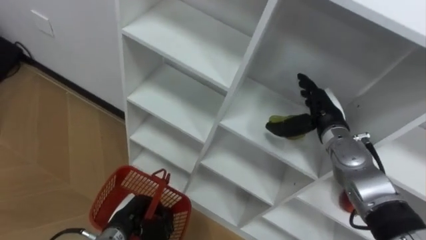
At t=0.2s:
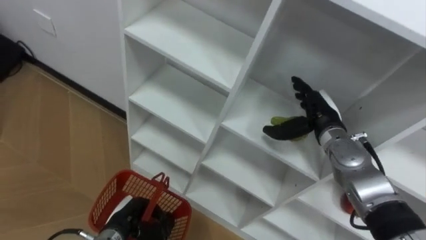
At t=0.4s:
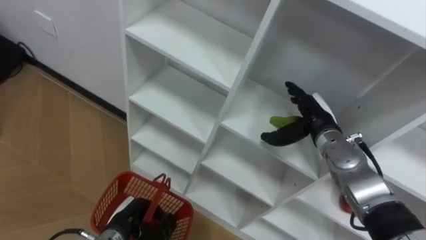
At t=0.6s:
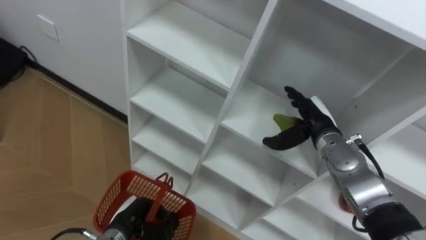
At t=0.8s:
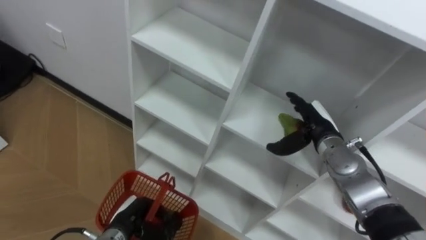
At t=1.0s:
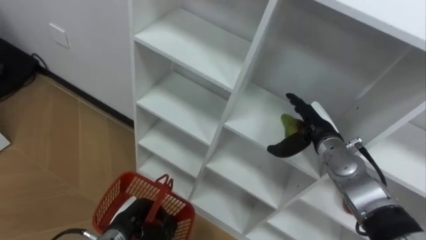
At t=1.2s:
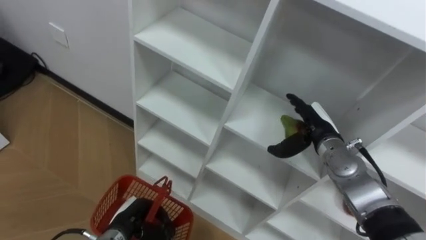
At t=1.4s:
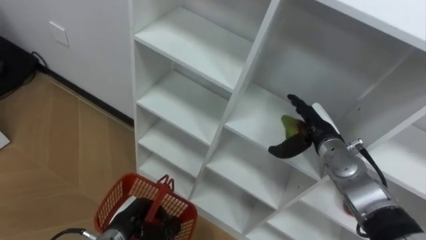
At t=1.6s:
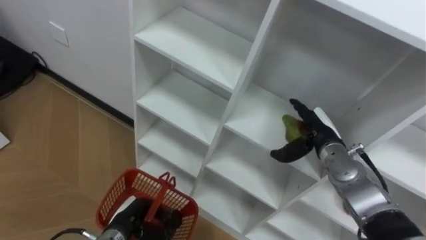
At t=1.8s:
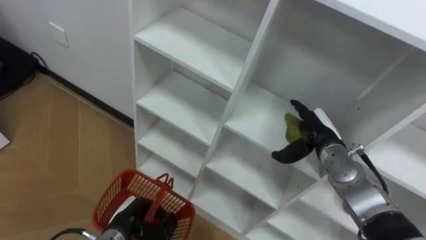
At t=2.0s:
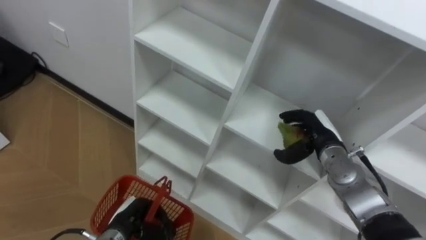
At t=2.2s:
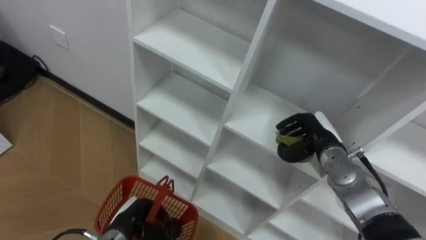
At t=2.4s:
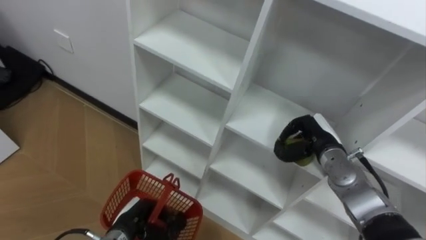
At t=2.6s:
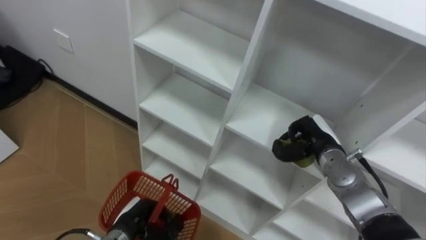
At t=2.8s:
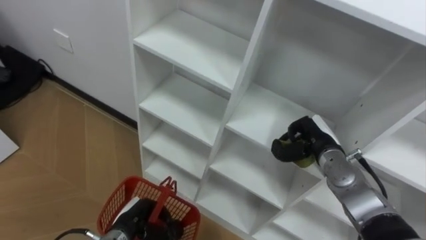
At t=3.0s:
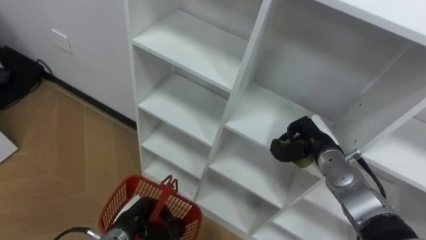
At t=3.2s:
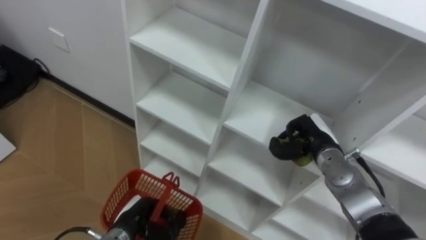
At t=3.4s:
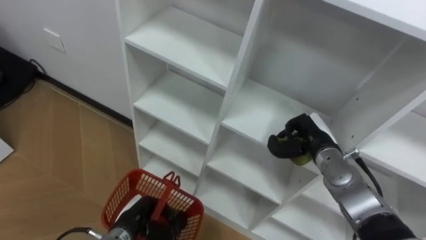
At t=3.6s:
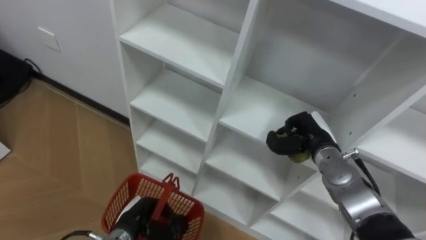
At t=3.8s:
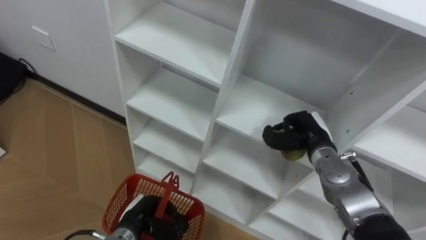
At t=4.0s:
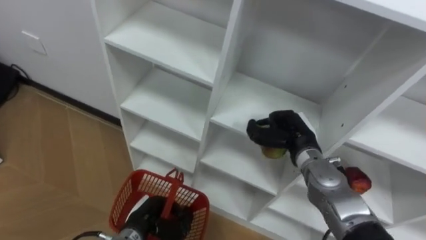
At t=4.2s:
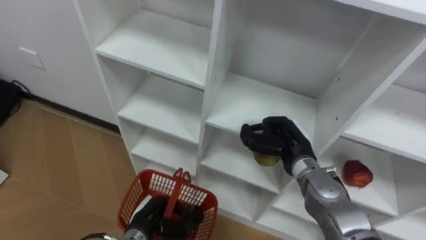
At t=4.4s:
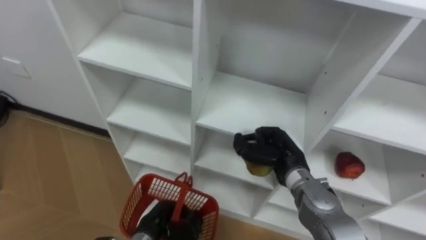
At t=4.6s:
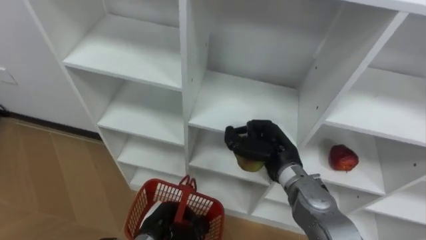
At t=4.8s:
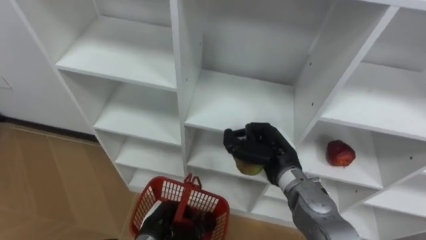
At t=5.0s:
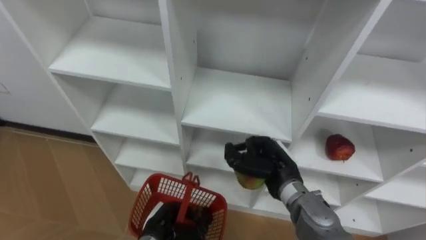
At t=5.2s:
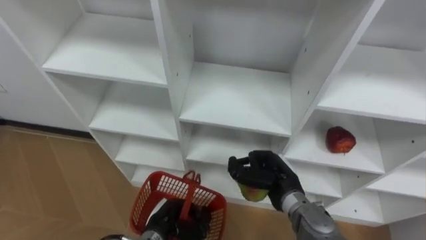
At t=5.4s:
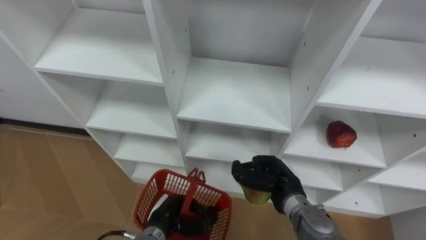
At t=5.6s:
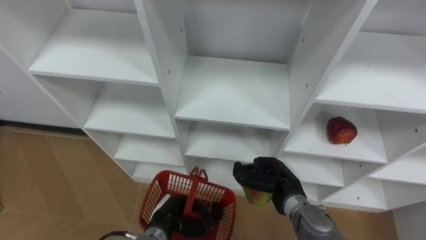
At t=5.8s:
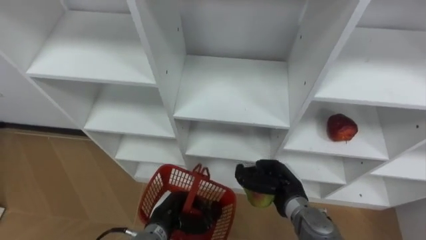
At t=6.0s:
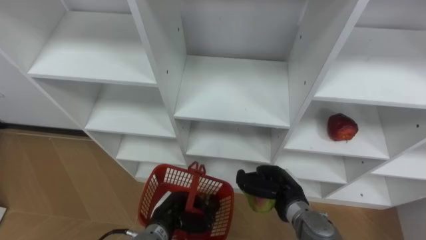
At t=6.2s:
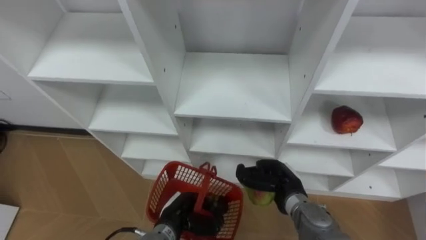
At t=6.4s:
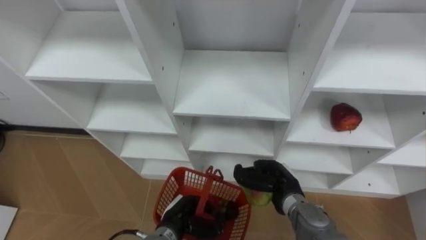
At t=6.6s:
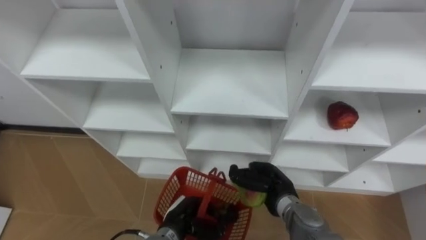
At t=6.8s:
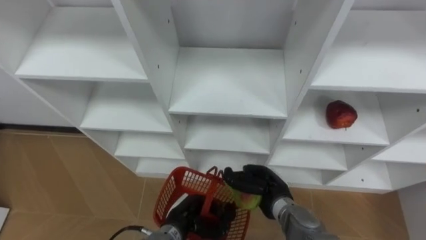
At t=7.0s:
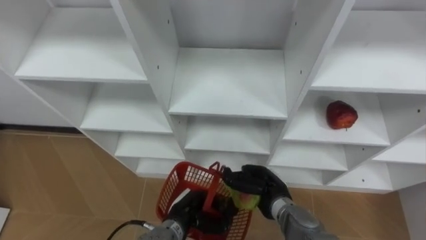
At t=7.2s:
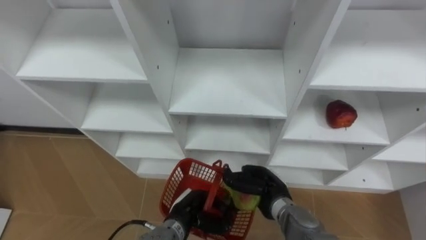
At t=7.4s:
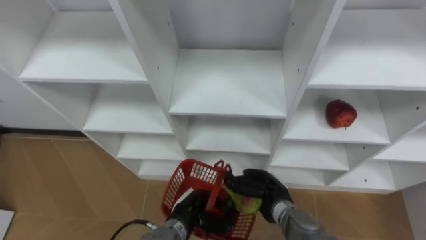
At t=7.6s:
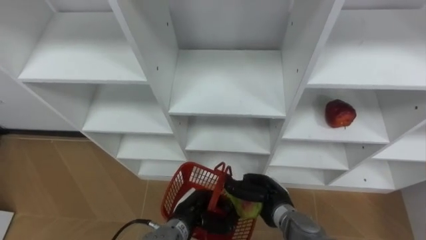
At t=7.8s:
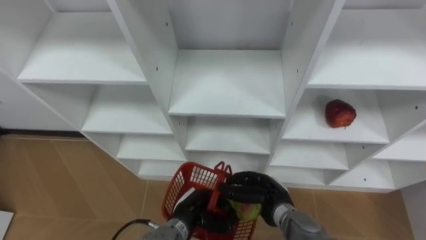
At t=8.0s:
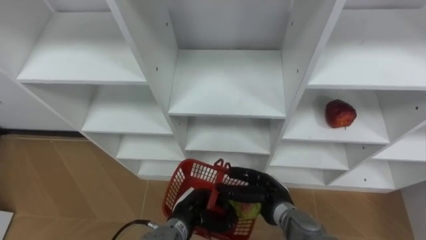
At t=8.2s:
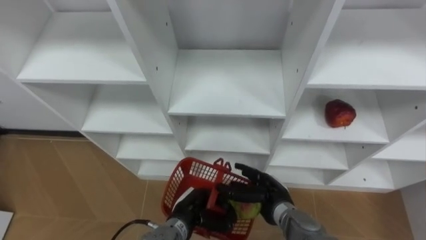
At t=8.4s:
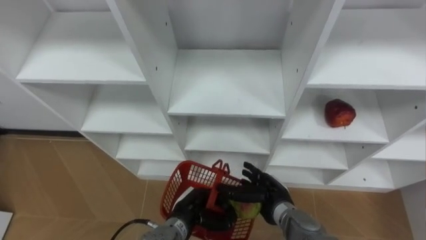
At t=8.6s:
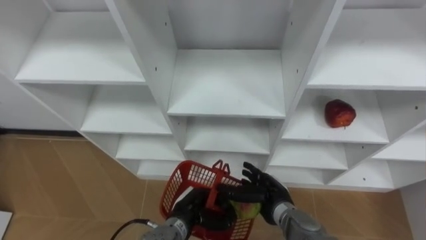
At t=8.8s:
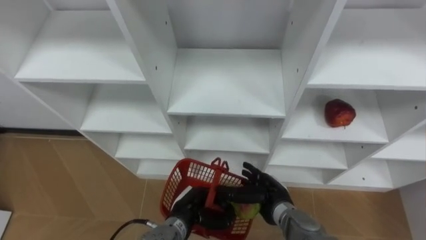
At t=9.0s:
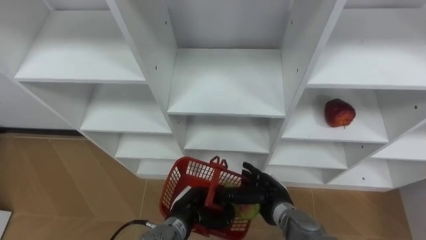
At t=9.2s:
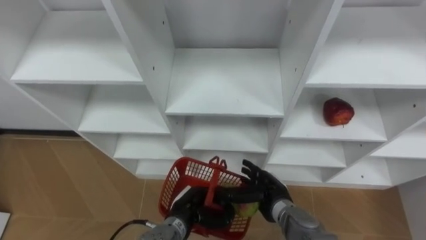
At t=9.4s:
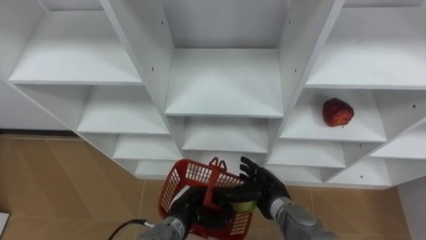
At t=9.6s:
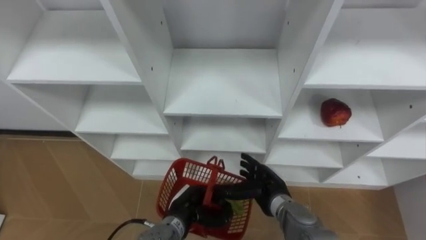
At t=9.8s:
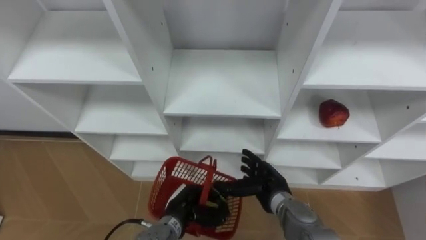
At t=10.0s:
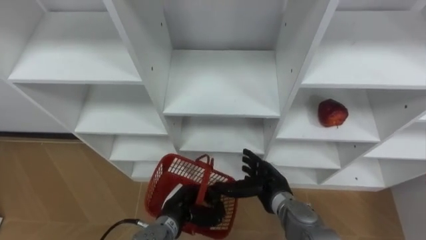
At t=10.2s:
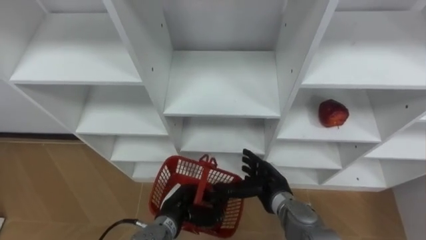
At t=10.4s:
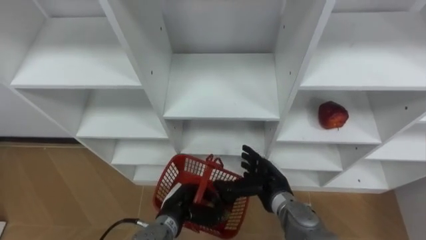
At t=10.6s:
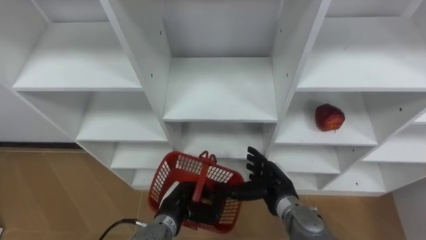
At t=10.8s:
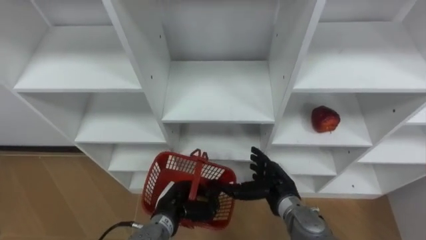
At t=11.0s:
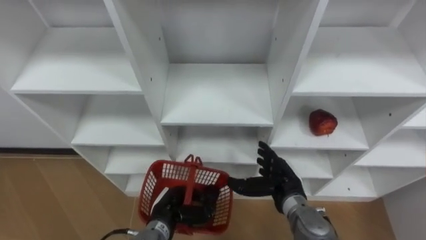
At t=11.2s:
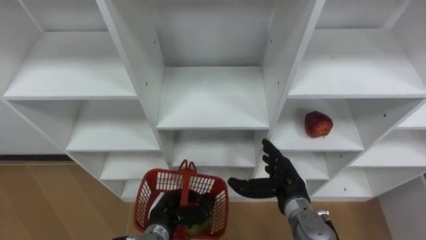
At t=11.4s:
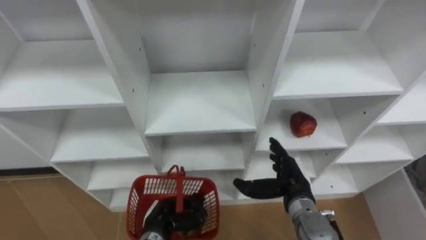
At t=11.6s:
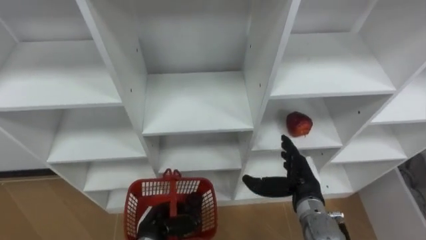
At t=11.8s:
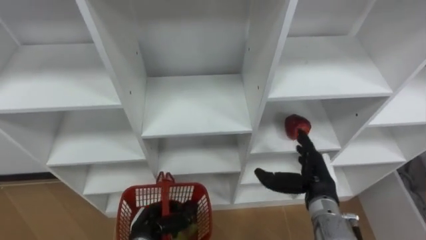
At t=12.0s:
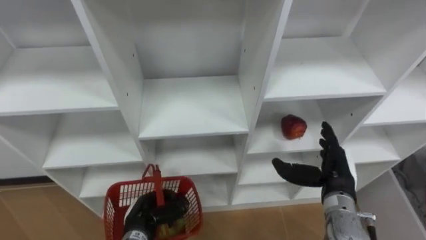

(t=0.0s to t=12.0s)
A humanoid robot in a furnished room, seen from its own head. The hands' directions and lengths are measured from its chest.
Task of the whole recording: Hold the basket and collect the fruits from 3 different cells of the closet into it.
t=1.6s - t=3.0s: The right hand closes.
t=3.0s - t=4.4s: The right hand heads to the left, covering approximately 10 cm.
t=4.4s - t=6.0s: The right hand heads downward, covering approximately 5 cm.
t=6.0s - t=7.6s: The left hand moves to the right, about 5 cm.
t=7.6s - t=9.0s: The right hand opens.
t=10.4s - t=12.0s: The left hand is displaced to the left by roughly 5 cm; the right hand shifts roughly 15 cm to the right and upward.

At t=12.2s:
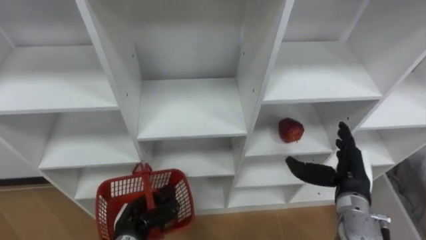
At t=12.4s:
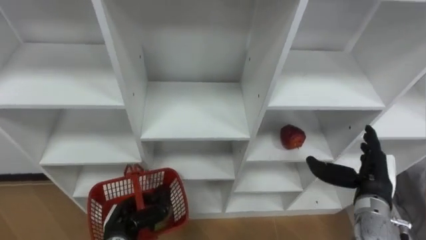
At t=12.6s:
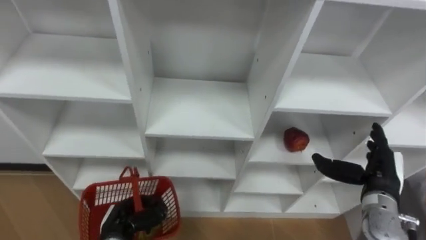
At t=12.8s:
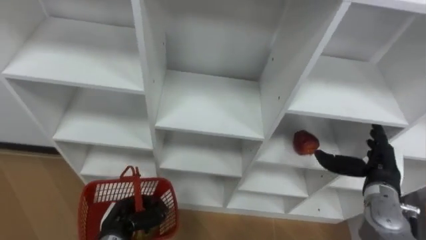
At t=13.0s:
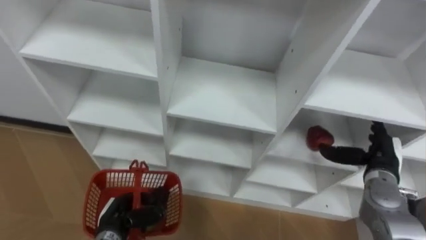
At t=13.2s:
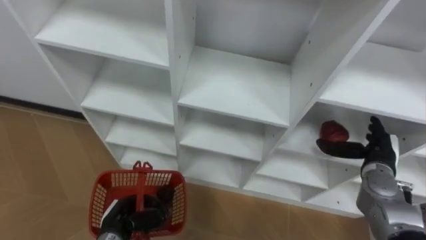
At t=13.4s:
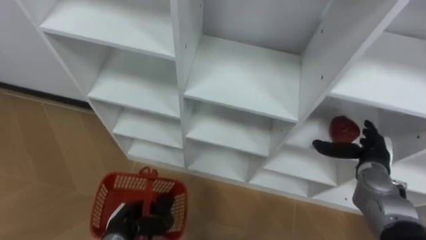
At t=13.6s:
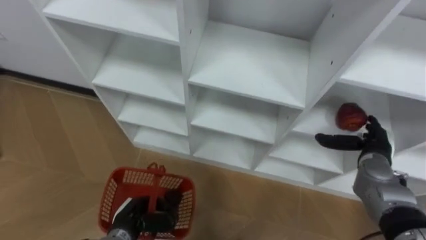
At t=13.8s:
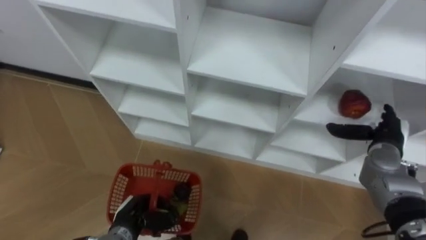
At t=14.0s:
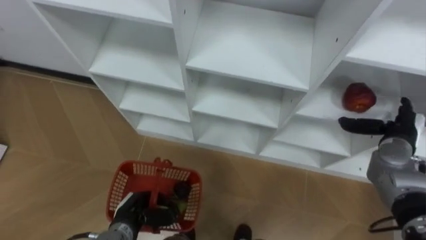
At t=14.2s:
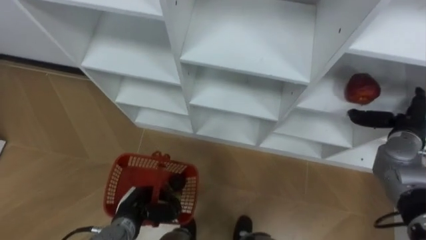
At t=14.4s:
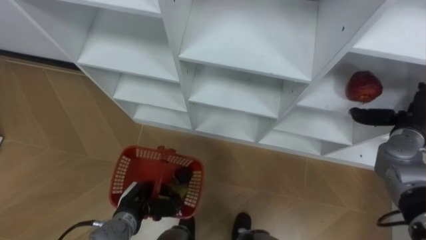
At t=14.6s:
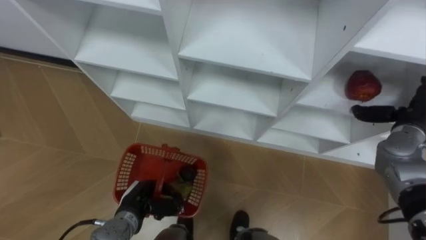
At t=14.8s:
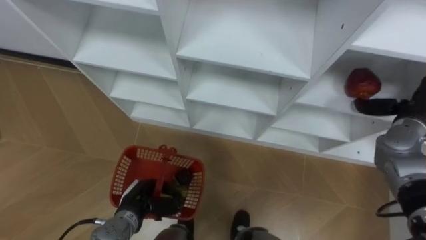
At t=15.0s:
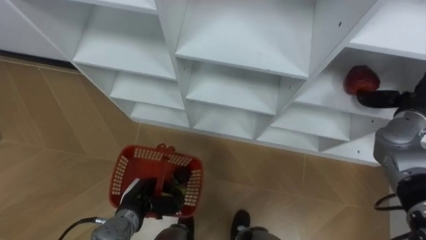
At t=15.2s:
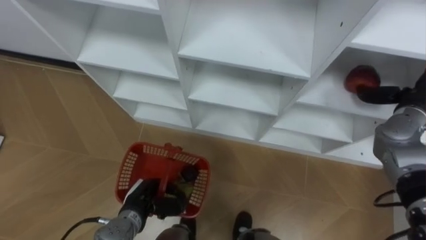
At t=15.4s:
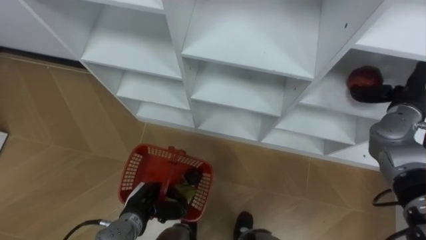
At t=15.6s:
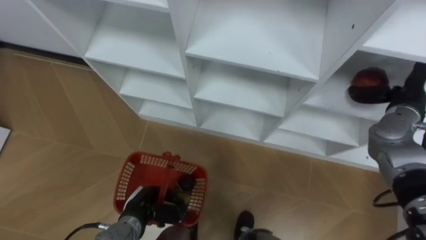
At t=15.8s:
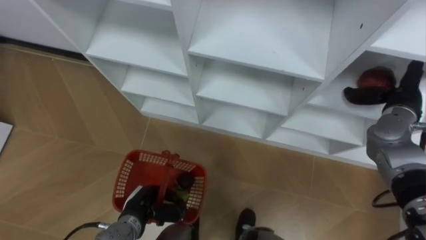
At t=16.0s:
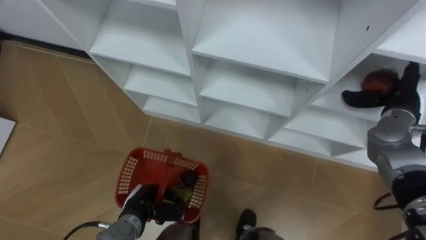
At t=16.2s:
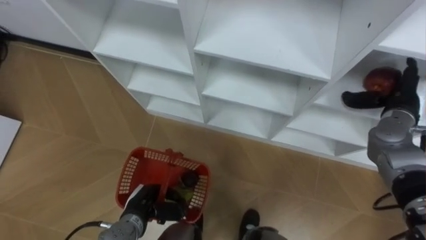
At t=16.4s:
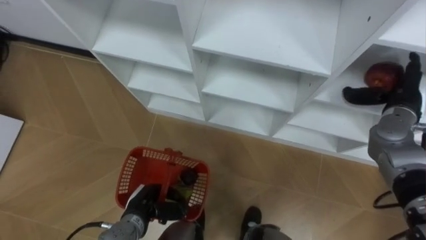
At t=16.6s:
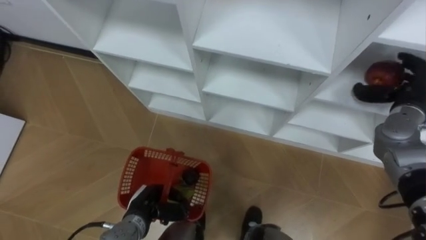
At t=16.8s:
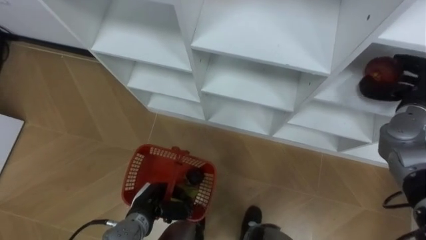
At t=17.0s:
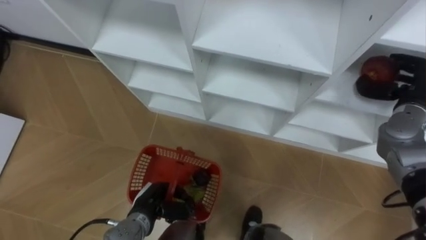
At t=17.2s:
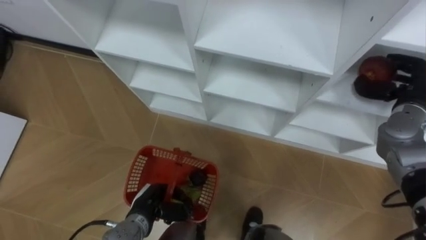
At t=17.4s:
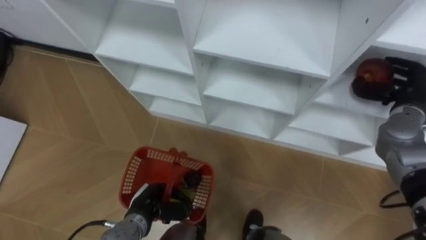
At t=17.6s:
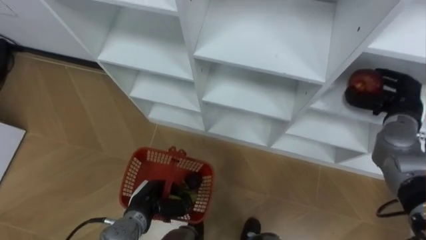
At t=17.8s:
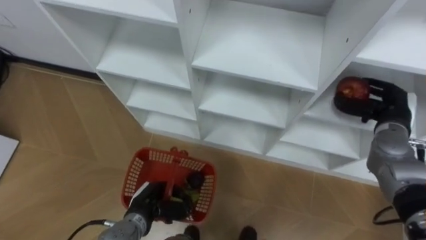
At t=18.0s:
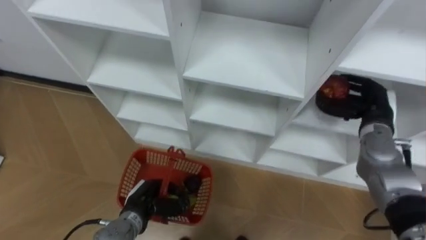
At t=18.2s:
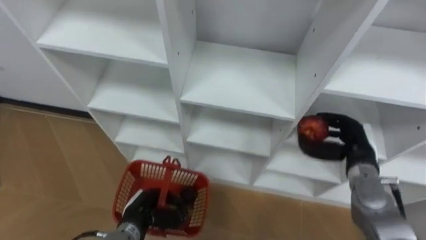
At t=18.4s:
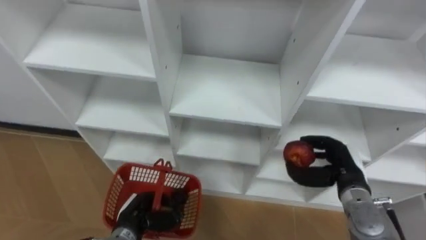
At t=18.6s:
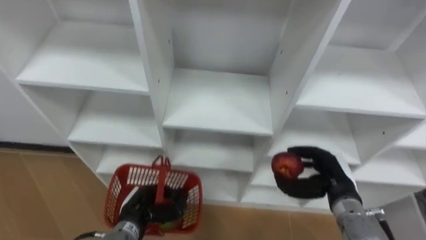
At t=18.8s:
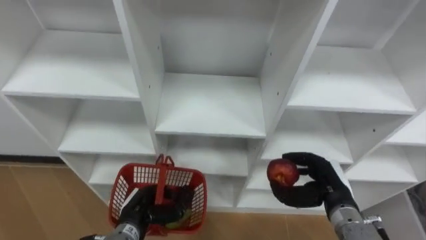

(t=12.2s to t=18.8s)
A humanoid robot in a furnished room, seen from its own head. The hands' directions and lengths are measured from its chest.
Task of the whole recording: Hold the basket and collect the fruits from 3 different cells of the closet into it.
t=12.2s - t=13.8s: The right hand moves to the right and forward, some 10 cm.
t=13.8s - t=15.4s: The right hand travels upward by some 10 cm.
t=15.4s - t=17.2s: The right hand closes.
t=17.2s - t=18.8s: The right hand goes roughly 20 cm backward, to the left and downward.
